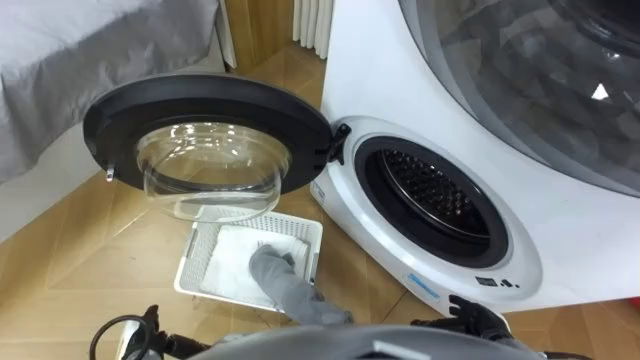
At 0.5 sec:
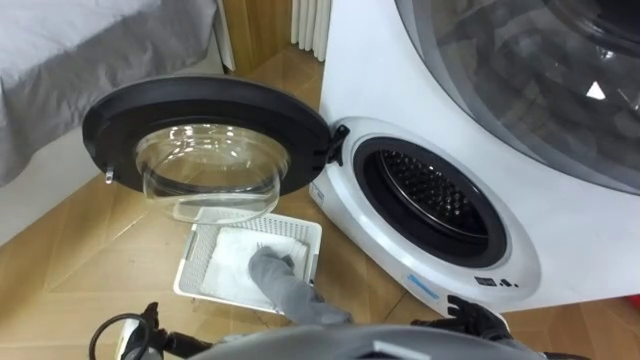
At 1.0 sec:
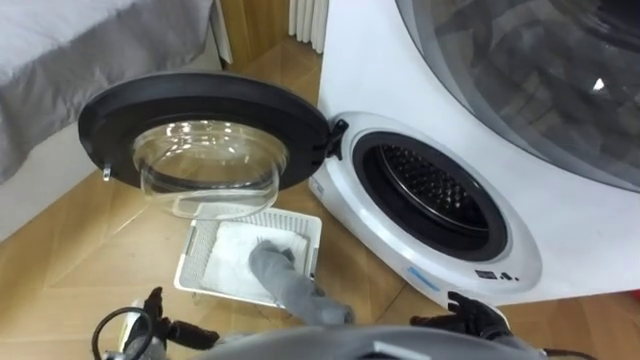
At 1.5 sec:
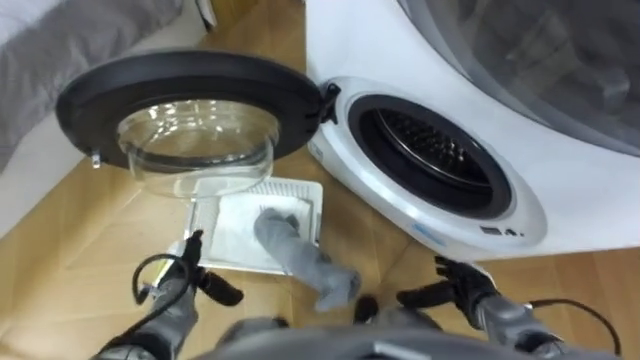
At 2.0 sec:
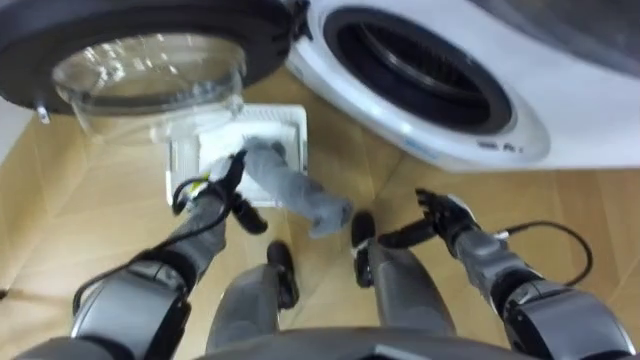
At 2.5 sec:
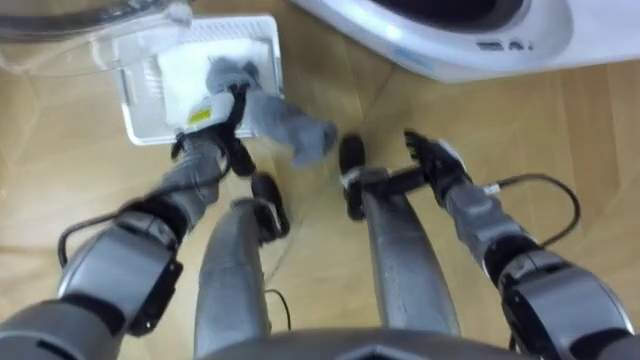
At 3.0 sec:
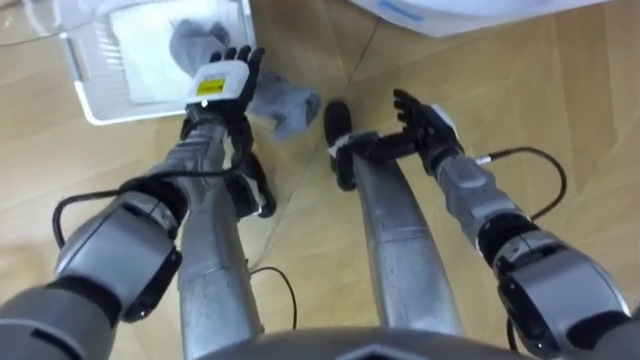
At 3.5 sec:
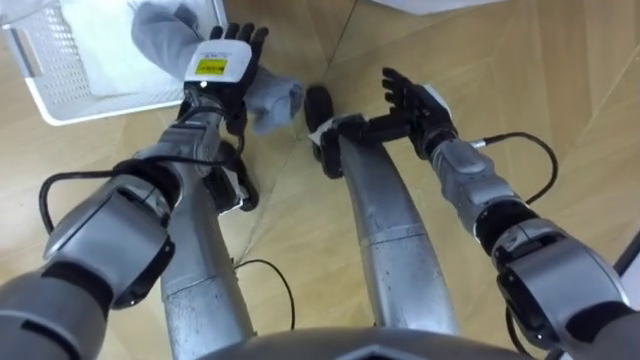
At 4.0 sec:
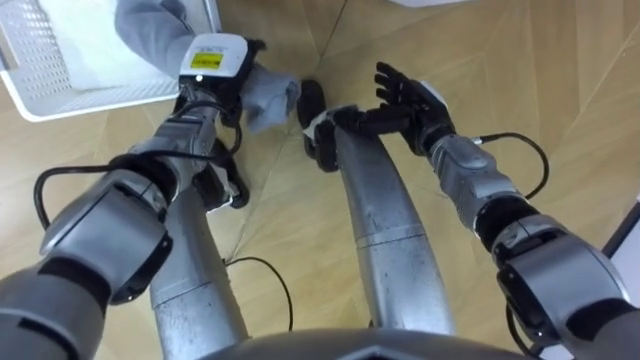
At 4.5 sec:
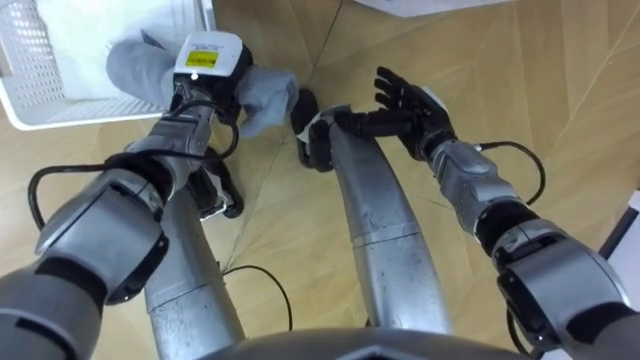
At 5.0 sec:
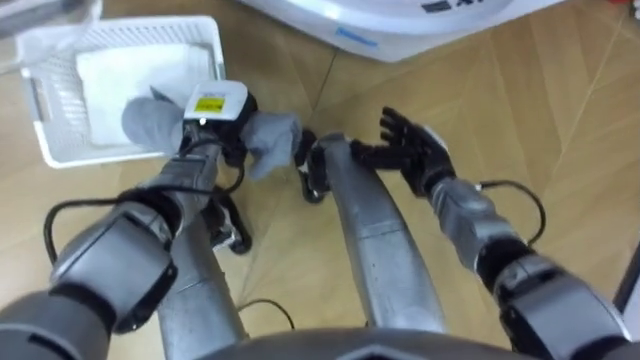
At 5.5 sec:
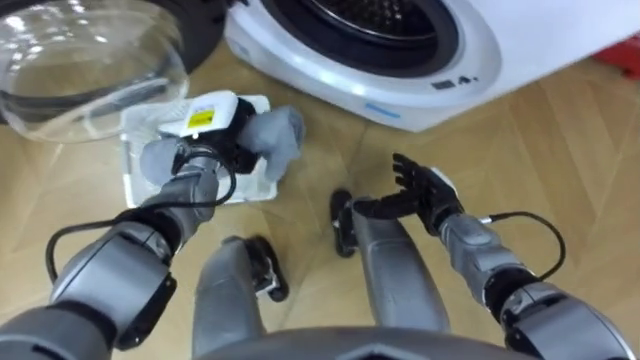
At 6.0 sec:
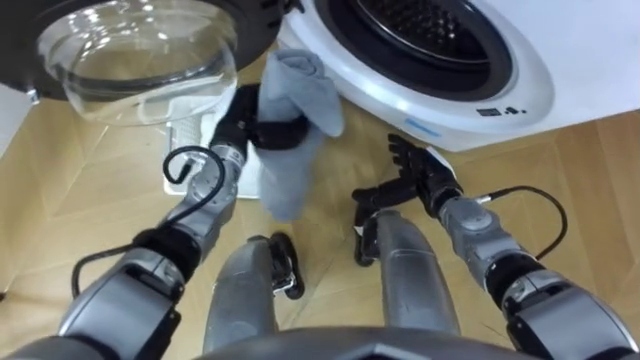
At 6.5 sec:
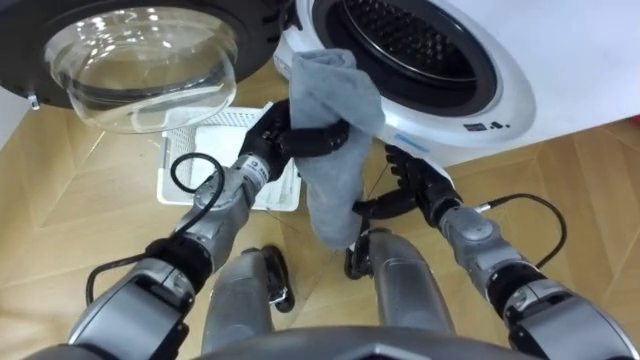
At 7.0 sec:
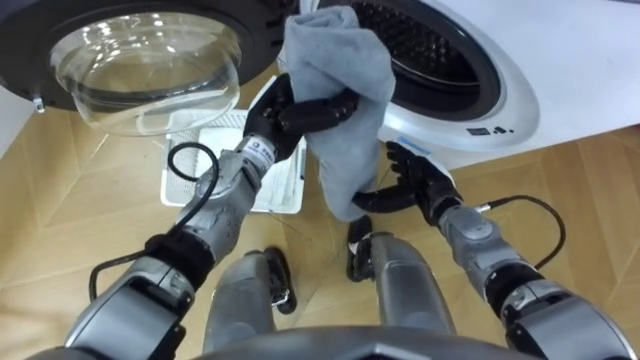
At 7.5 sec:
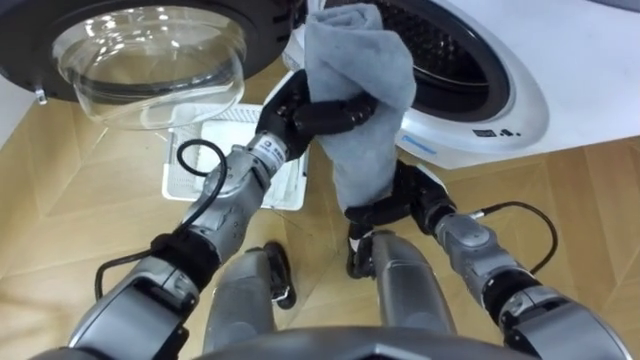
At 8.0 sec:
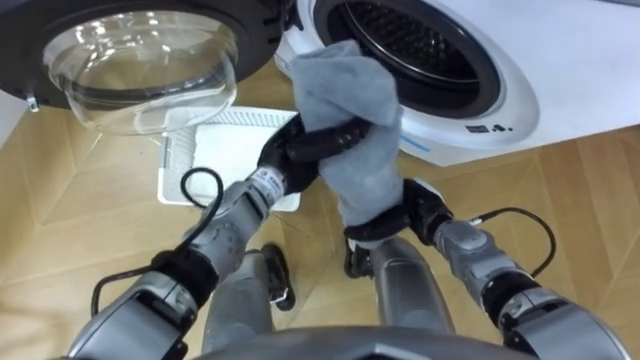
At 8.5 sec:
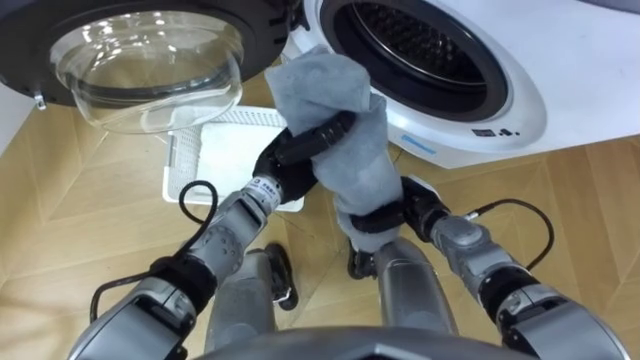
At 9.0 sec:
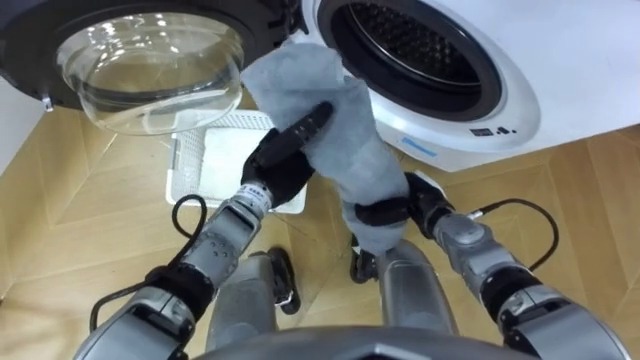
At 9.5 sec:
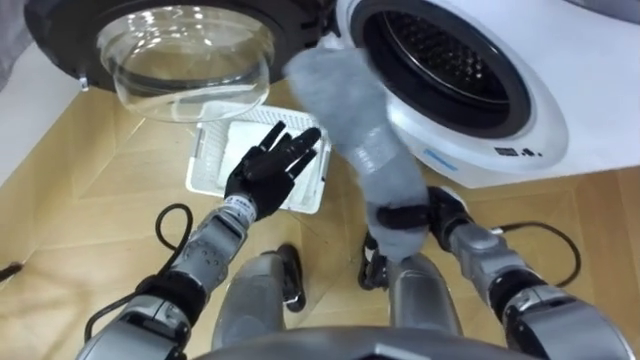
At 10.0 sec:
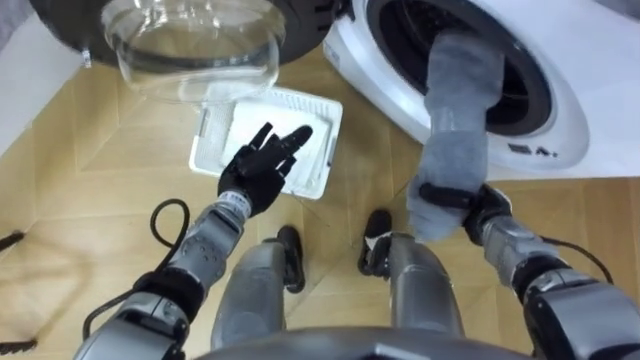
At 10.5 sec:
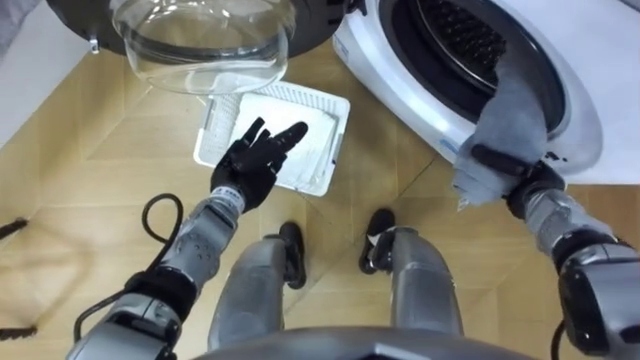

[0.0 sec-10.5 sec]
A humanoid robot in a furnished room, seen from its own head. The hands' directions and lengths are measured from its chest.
Task of the whole recording: Take the towel from the basket and put it into the washing machine.
2.0 sec to 4.0 sec: The right hand is displaced forward, upward and to the left by roughly 20 cm, while the left hand goes about 20 cm upward and forward.
4.0 sec to 6.5 sec: The right hand shifts some 10 cm backward and downward. The left hand goes about 10 cm backward and to the right, and closes its fingers.
6.5 sec to 8.5 sec: The right hand closes up.
8.5 sec to 10.5 sec: The left hand shifts about 10 cm to the left, and opens. Meanwhile the right hand travels to the right by roughly 15 cm.

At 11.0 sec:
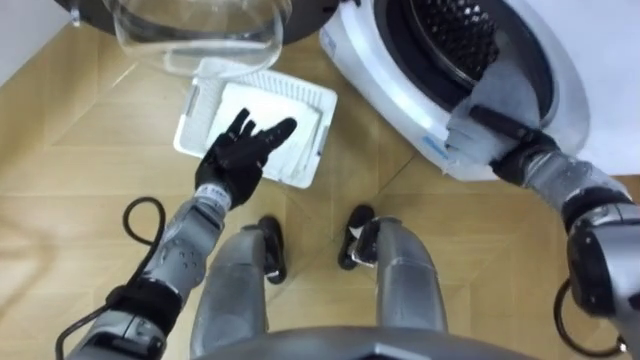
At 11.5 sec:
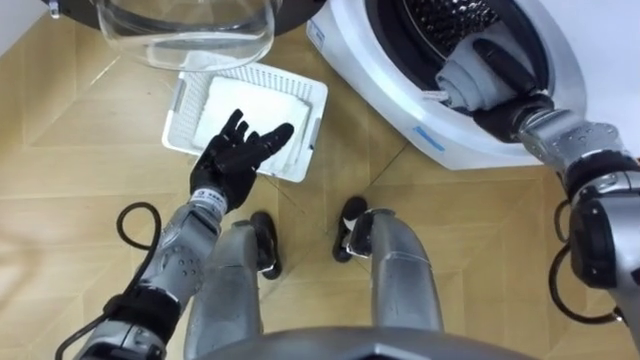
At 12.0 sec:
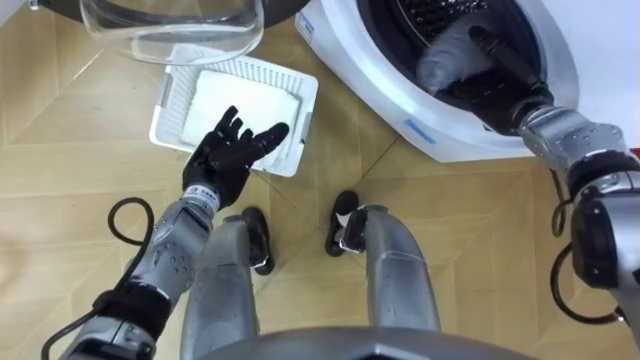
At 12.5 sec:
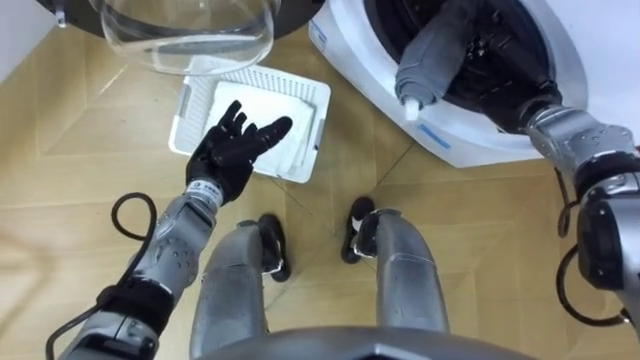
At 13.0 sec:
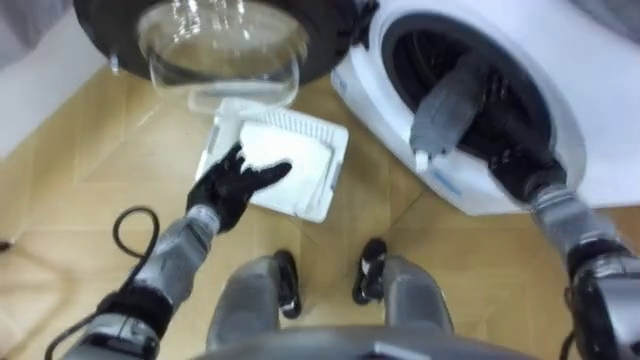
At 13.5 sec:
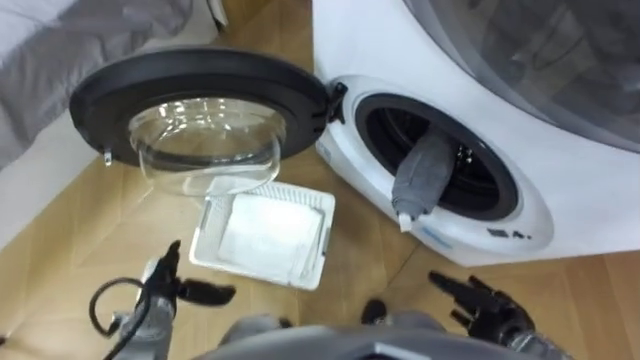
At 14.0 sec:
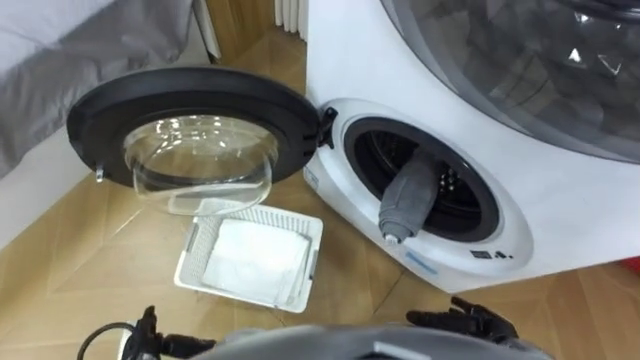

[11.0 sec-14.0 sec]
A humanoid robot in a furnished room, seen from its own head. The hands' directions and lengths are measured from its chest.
Task of the whole recording: Take the towel from the basket and put it into the washing machine.
11.0 sec to 12.5 sec: The right hand goes some 10 cm upward and forward, and opens up.
12.5 sec to 14.0 sec: The left hand goes roughly 30 cm backward, downward and to the left, while the right hand goes approximately 35 cm backward and downward.

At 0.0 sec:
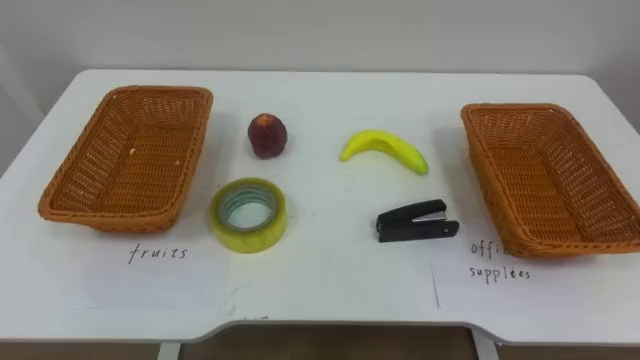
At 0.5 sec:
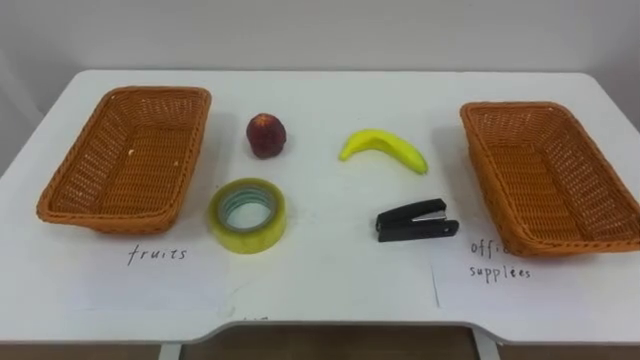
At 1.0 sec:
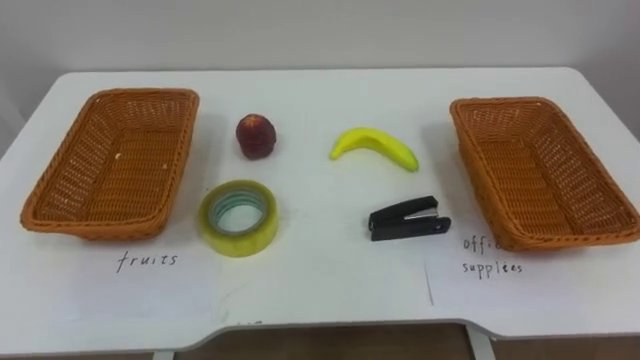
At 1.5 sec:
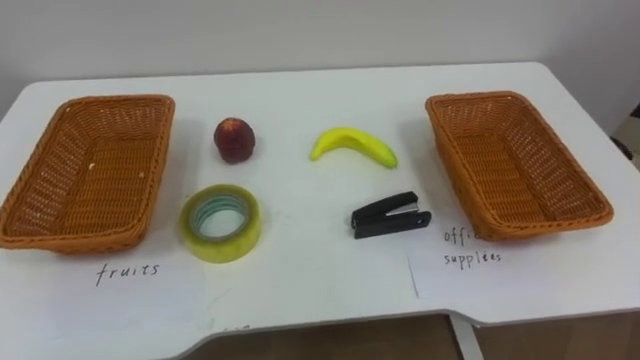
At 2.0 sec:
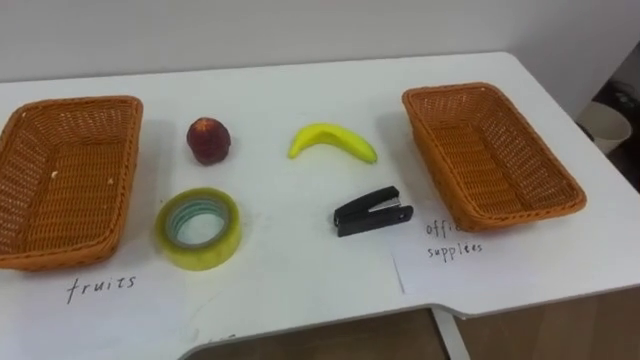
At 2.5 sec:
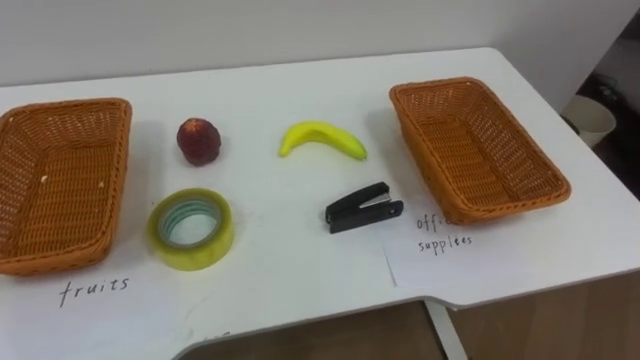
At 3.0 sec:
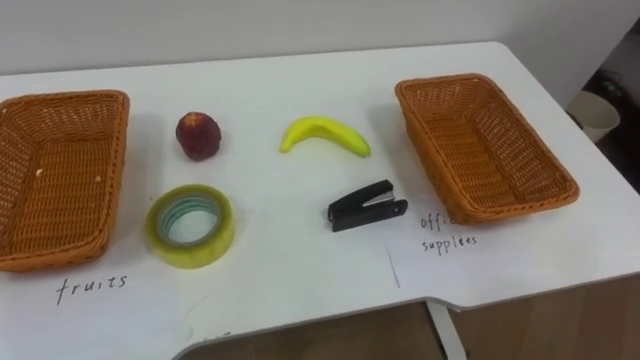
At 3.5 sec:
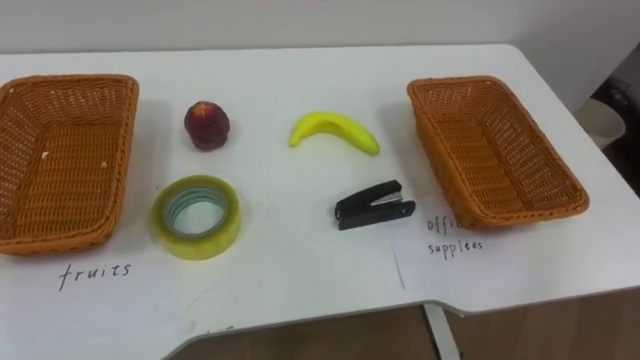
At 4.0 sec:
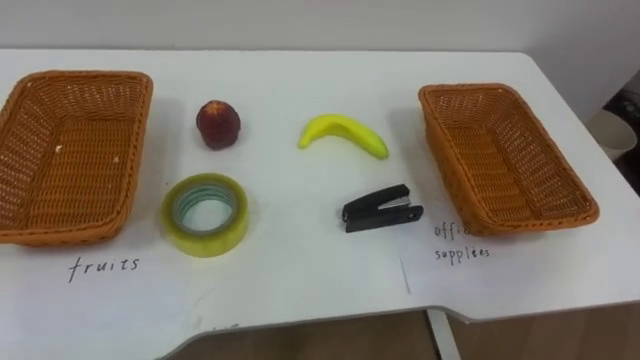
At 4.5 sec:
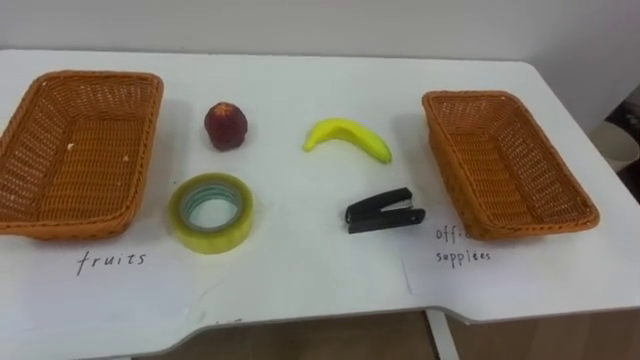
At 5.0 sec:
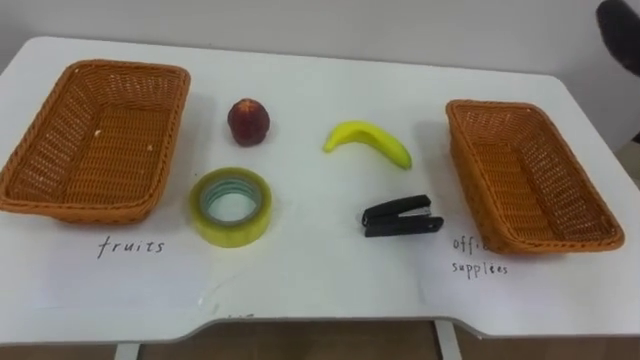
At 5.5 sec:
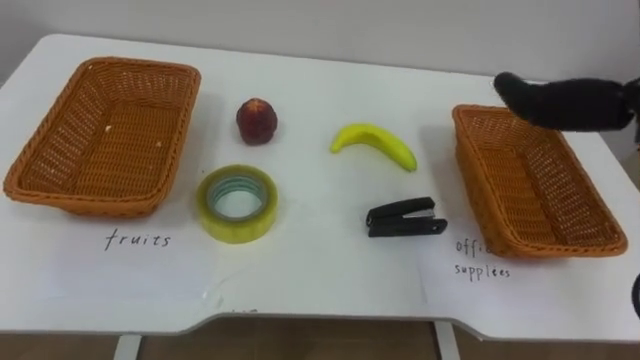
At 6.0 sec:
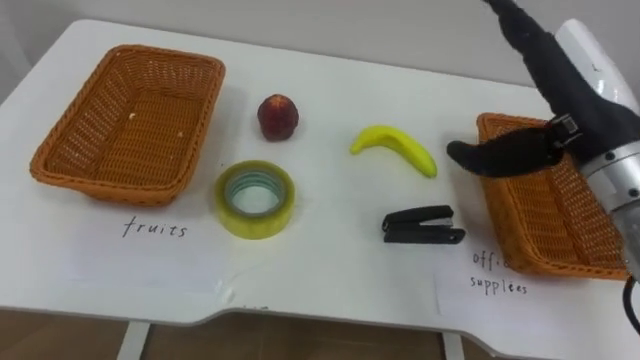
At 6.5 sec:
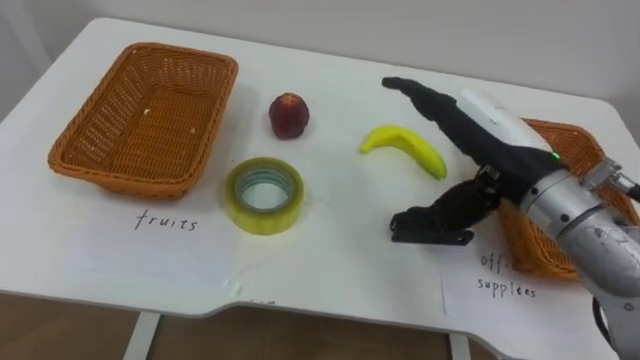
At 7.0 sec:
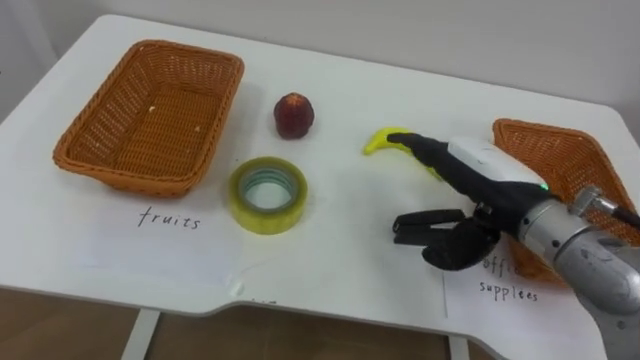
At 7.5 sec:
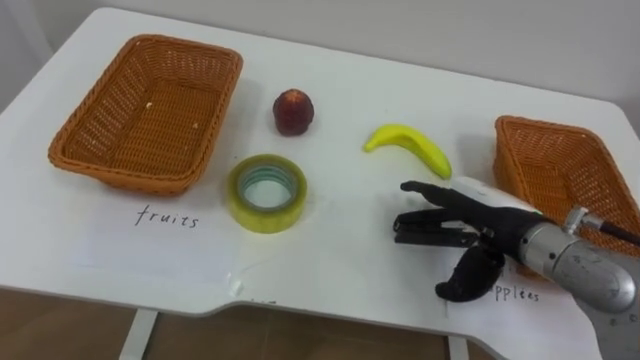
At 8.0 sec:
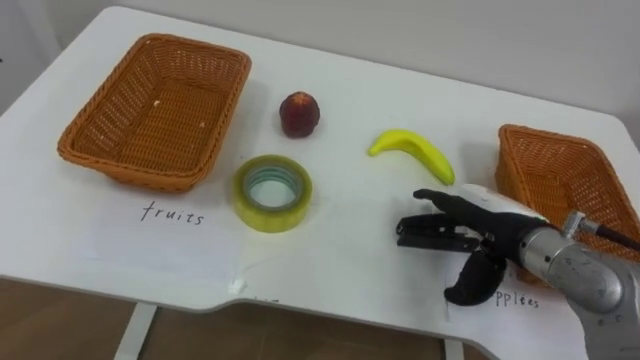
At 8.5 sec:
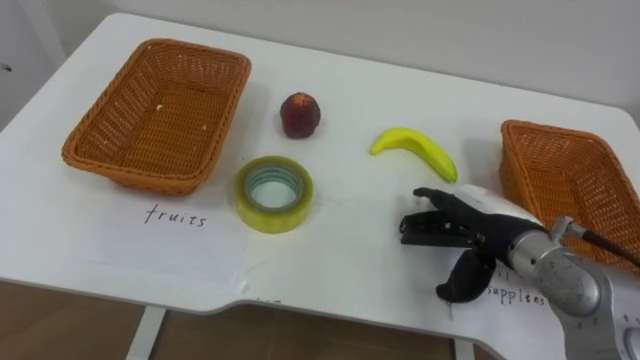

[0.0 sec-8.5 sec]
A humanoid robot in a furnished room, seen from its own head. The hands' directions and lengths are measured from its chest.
Task of the whole recording: Separate the items on the table and place them into the two baskets.
6.5 sec to 8.5 sec: The right hand shifts approximately 10 cm downward.
